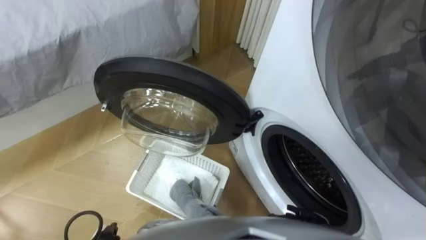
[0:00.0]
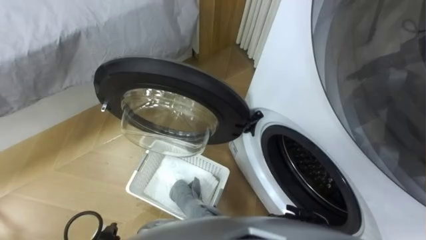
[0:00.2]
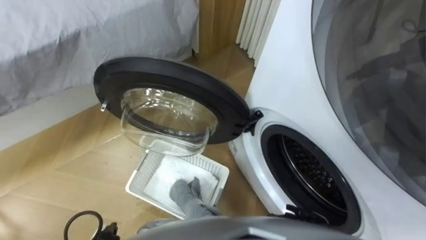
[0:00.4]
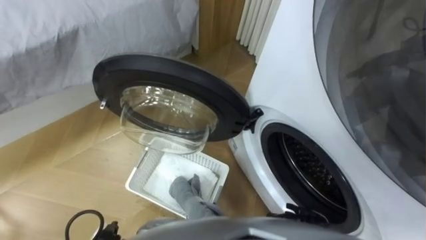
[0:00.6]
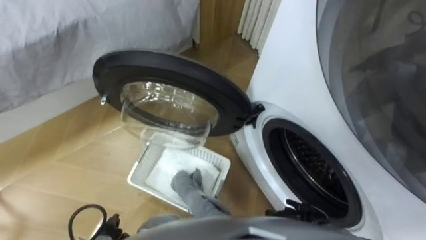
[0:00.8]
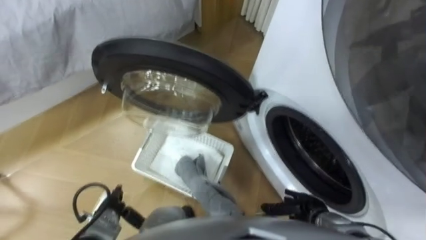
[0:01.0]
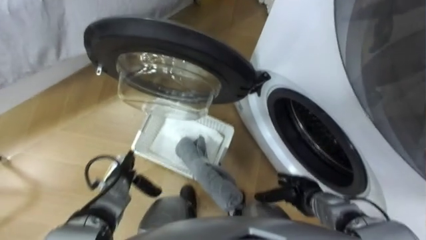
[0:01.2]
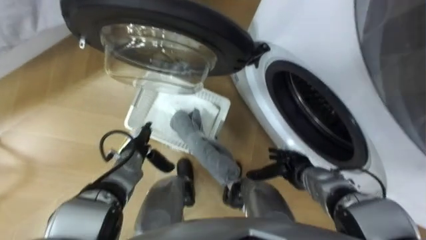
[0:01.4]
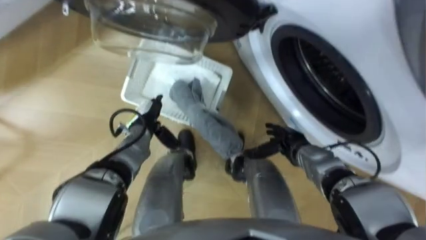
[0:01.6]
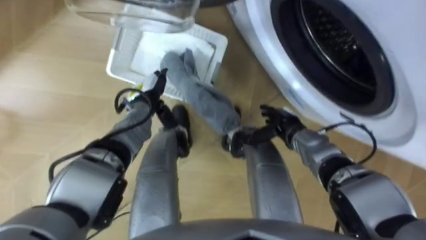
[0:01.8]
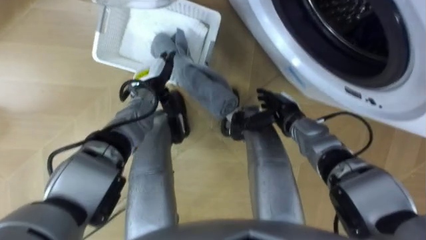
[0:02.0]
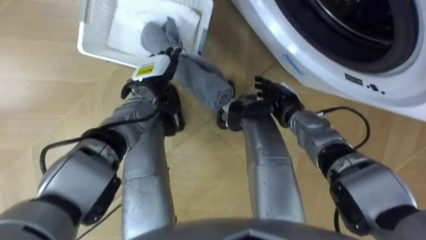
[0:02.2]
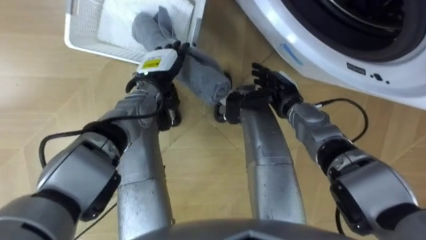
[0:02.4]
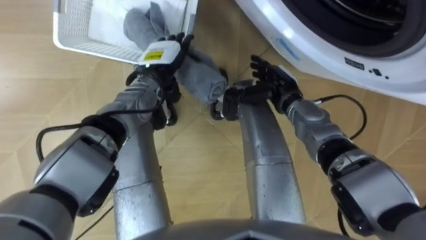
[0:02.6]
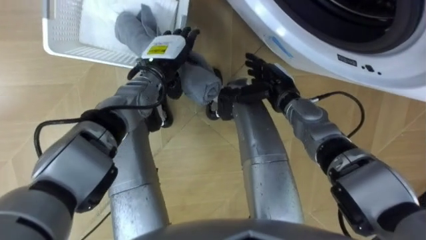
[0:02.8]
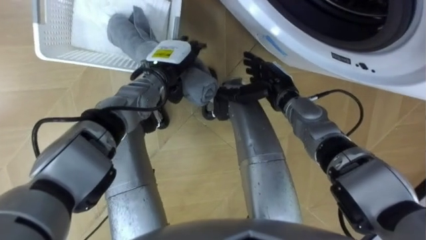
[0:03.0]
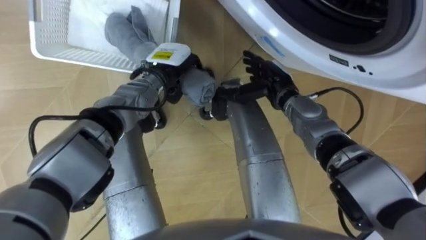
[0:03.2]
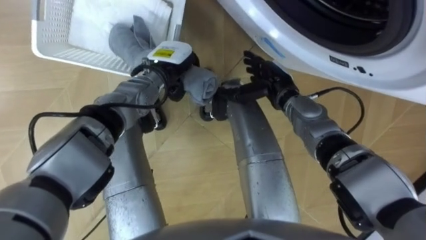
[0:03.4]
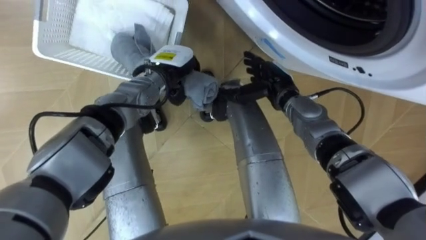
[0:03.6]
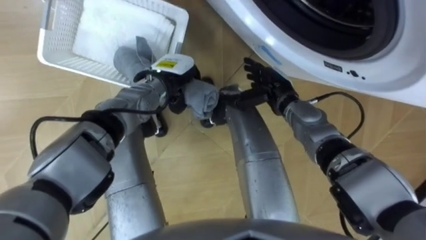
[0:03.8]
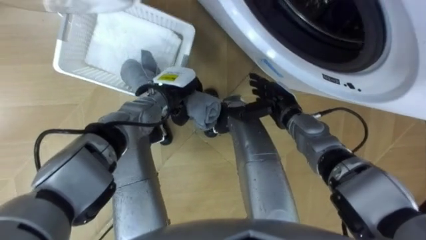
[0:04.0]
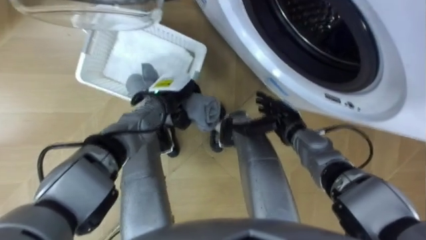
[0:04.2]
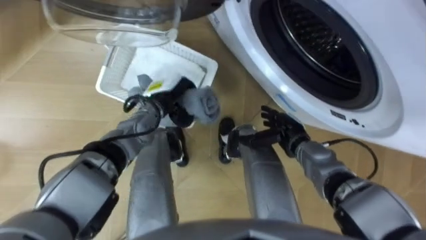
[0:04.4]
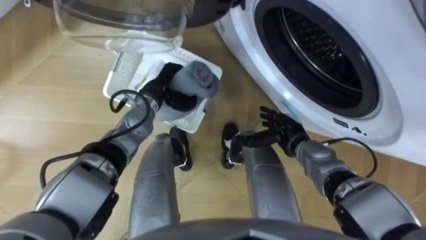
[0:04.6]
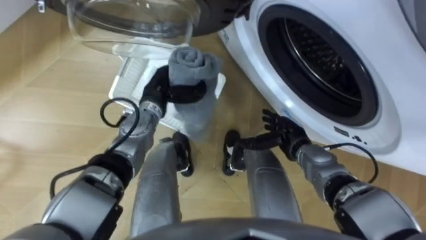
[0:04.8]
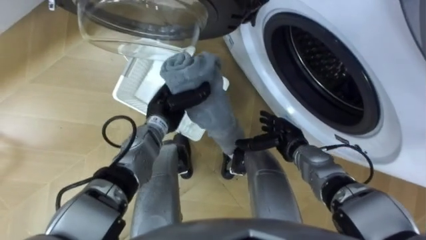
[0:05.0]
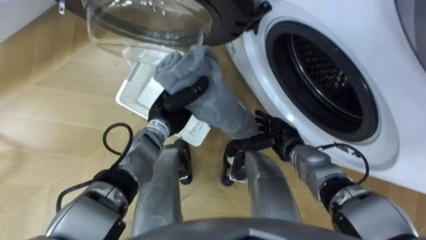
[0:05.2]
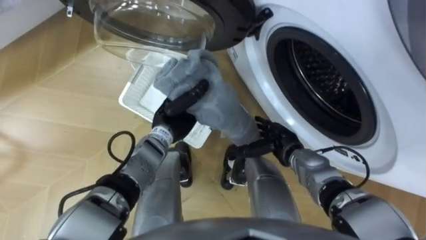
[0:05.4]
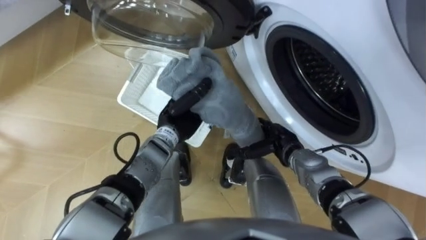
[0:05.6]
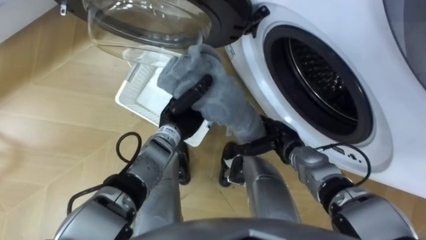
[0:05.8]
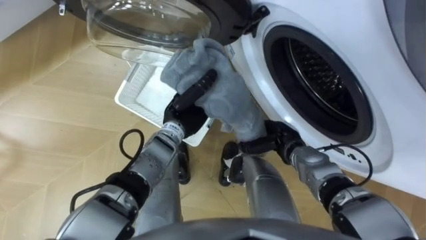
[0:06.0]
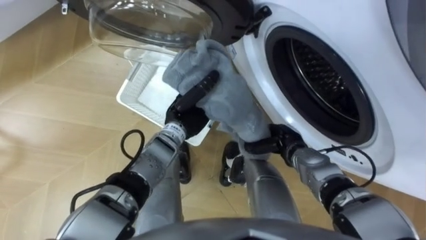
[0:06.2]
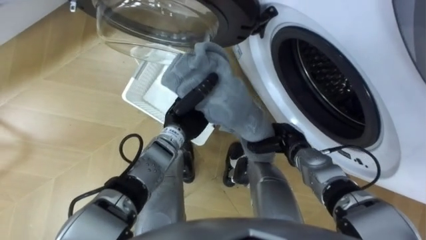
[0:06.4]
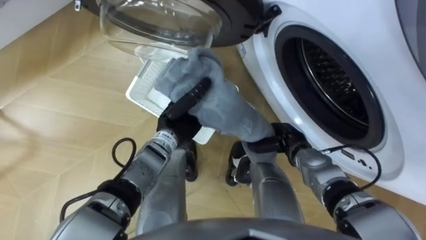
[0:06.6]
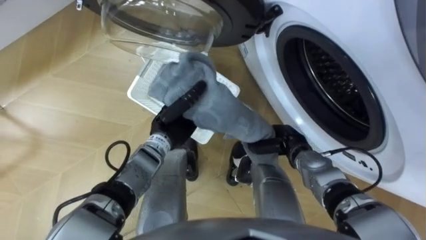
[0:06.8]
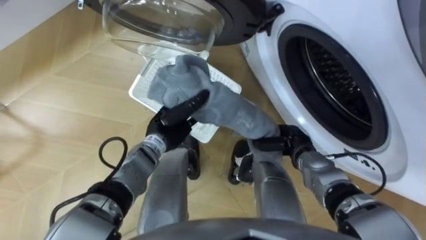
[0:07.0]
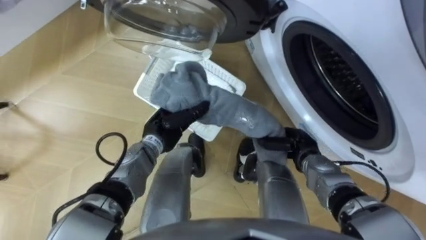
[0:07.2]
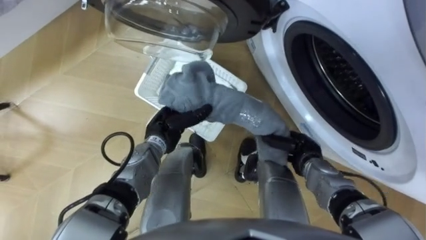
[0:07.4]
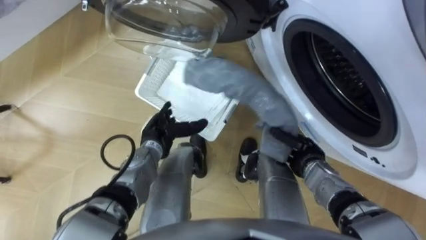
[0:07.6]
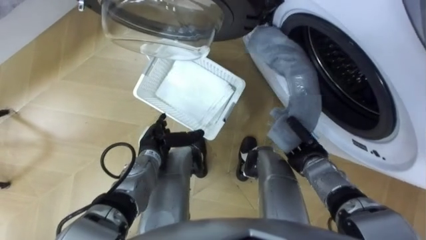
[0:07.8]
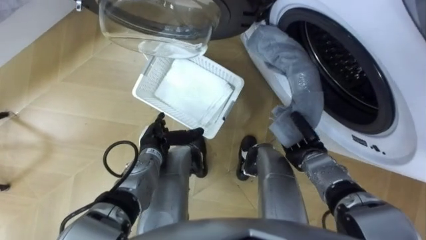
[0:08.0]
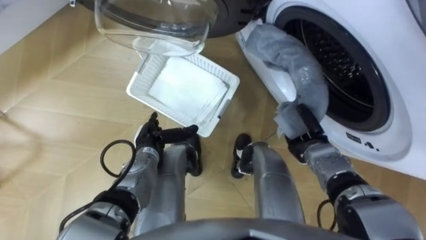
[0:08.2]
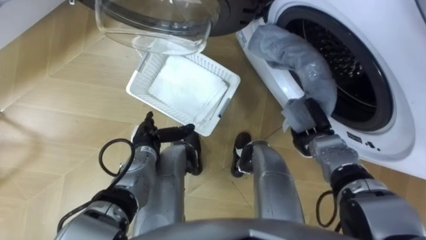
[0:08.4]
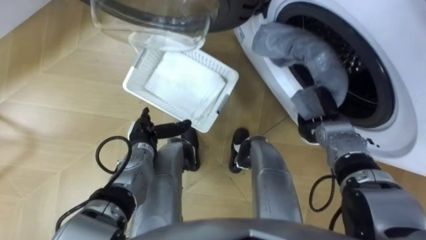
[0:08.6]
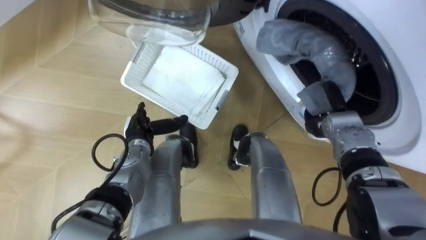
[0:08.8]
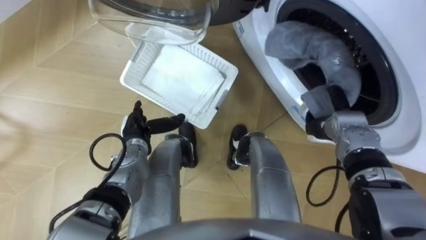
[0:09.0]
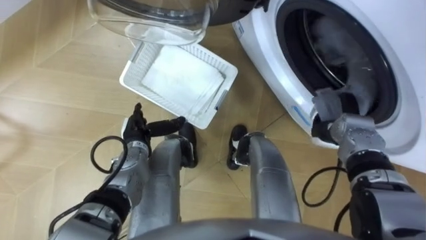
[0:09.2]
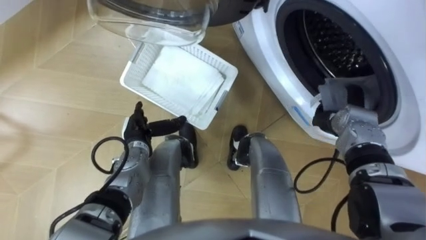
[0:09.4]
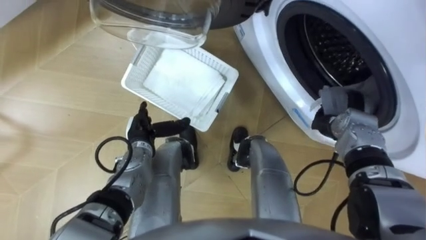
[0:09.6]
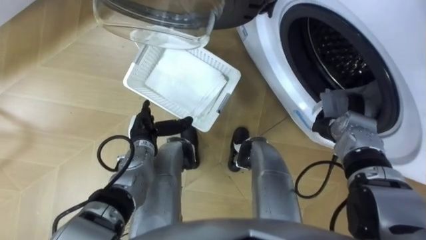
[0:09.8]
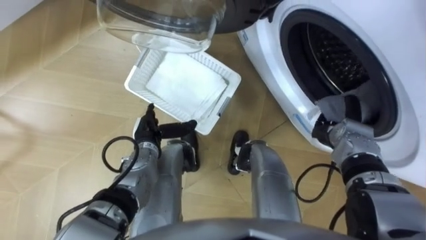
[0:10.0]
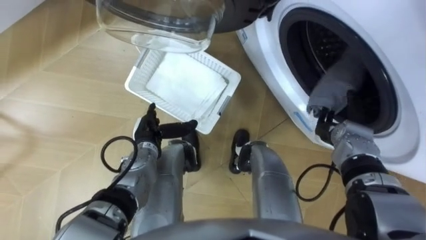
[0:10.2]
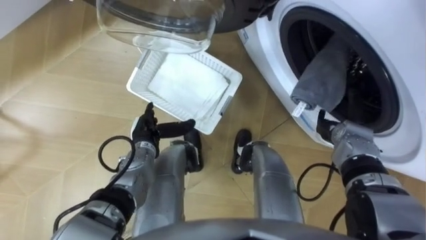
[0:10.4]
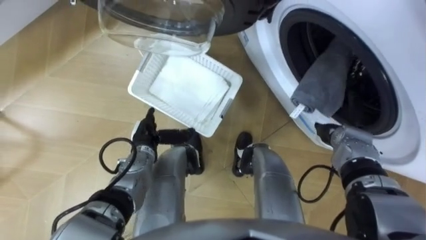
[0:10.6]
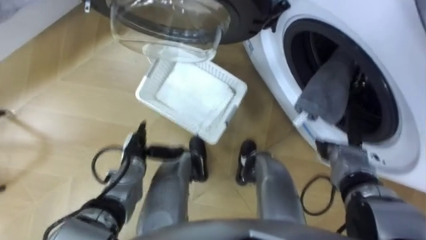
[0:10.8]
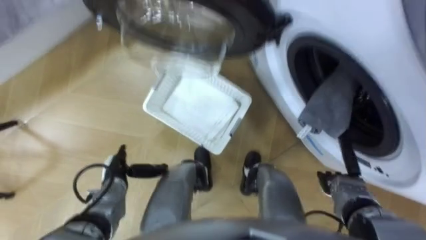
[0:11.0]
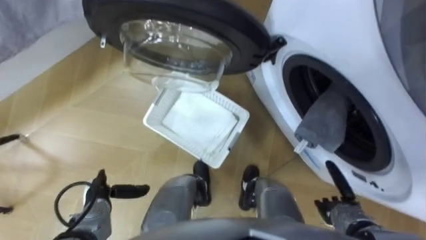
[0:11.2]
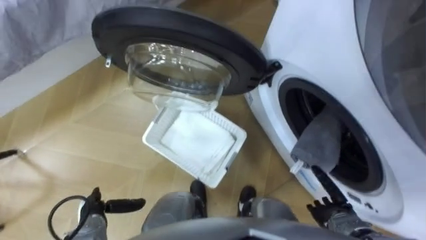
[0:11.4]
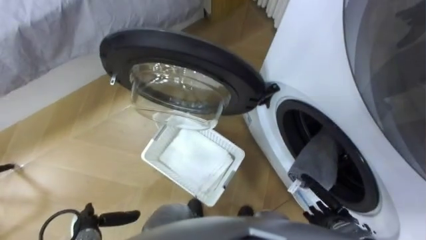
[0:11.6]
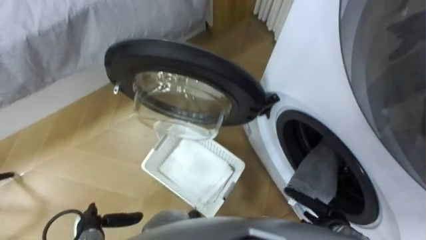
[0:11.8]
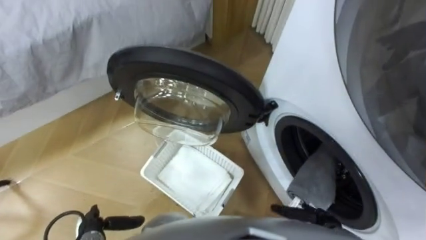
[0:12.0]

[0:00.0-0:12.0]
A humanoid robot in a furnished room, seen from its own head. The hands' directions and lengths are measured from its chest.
Task of the whole recording: Take the towel from the basket and put it into the washing machine.
0:01.6 to 0:03.0: The right hand goes about 15 cm forward and upward; the left hand is displaced upward, forward and to the right by roughly 15 cm.
0:03.0 to 0:04.4: The right hand travels backward and downward by about 10 cm; the left hand goes about 5 cm downward, and closes.
0:04.4 to 0:06.0: The left hand heads to the right, covering some 5 cm.
0:06.0 to 0:07.6: The right hand moves to the right, approximately 5 cm, and closes up. Meanwhile the left hand is displaced to the left and downward by about 10 cm, and opens.
0:07.6 to 0:09.0: The right hand shifts roughly 10 cm forward and upward.
0:09.0 to 0:10.4: The right hand opens.
0:10.4 to 0:12.0: The right hand is displaced backward and downward by about 25 cm; the left hand shifts about 25 cm backward and to the left.

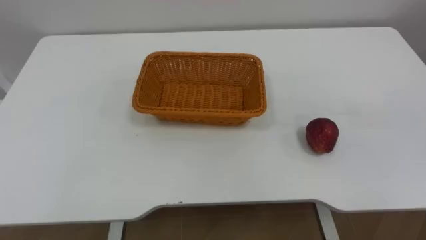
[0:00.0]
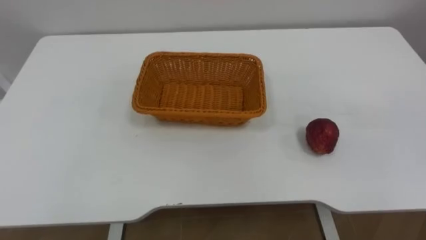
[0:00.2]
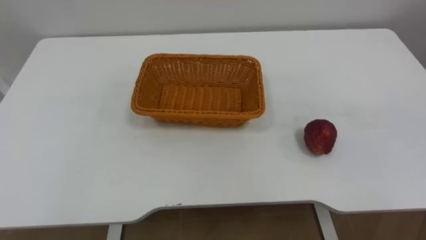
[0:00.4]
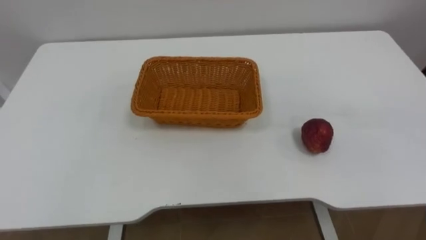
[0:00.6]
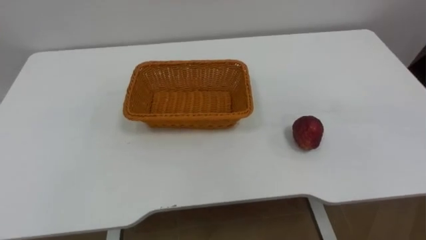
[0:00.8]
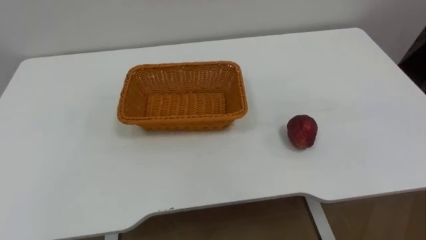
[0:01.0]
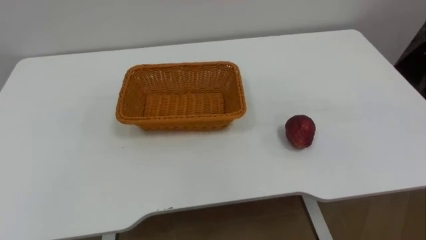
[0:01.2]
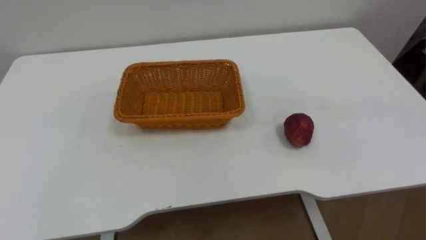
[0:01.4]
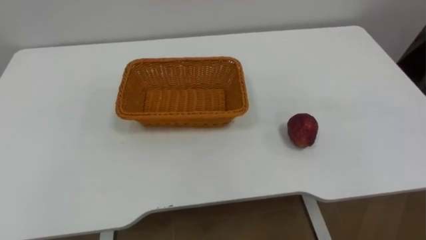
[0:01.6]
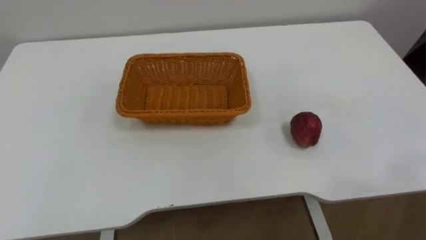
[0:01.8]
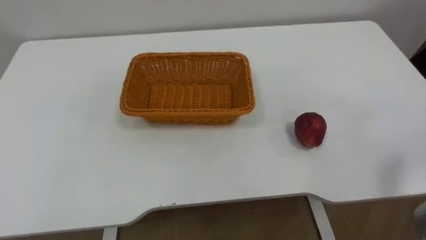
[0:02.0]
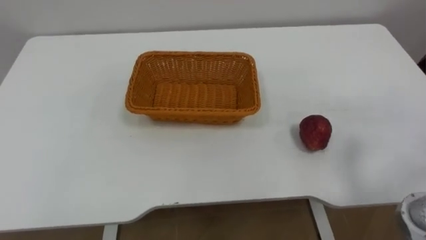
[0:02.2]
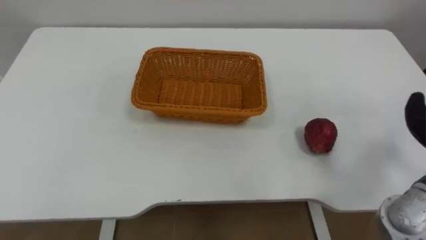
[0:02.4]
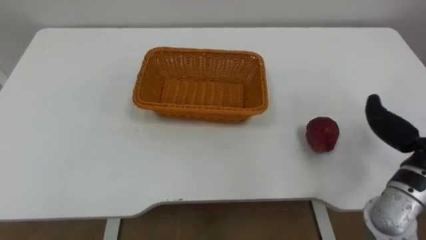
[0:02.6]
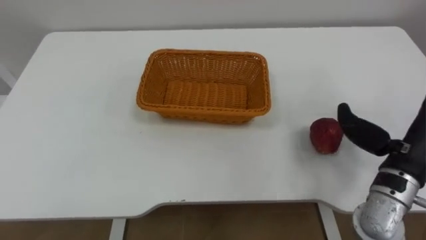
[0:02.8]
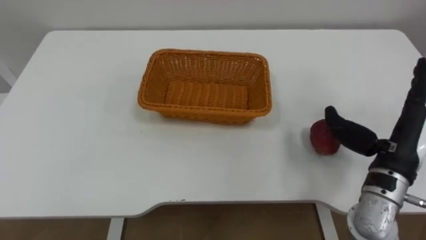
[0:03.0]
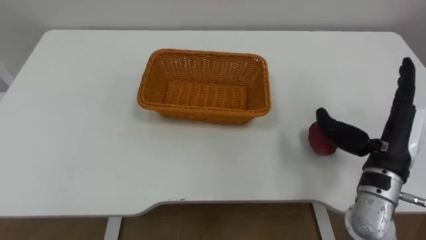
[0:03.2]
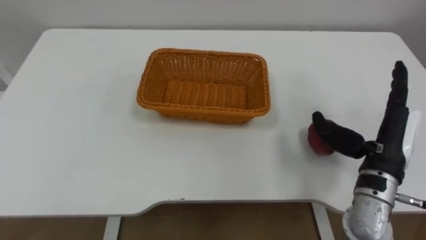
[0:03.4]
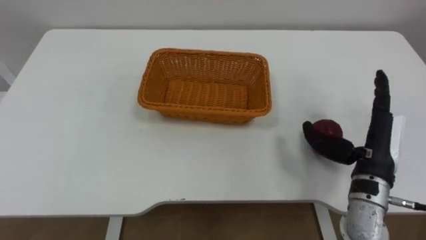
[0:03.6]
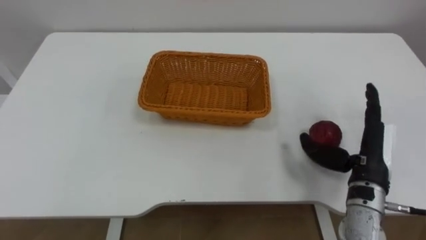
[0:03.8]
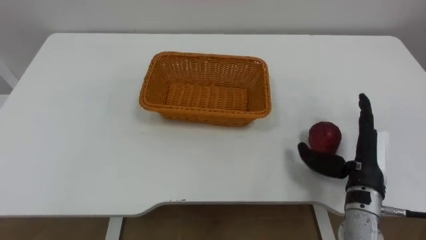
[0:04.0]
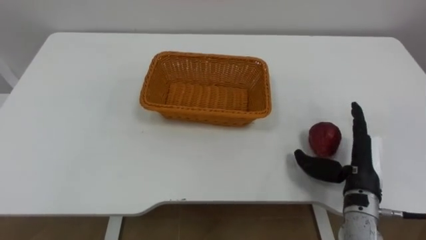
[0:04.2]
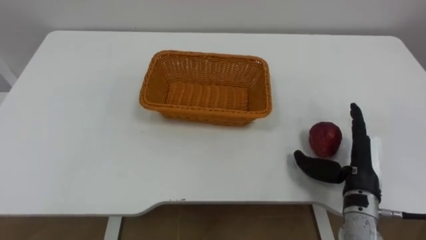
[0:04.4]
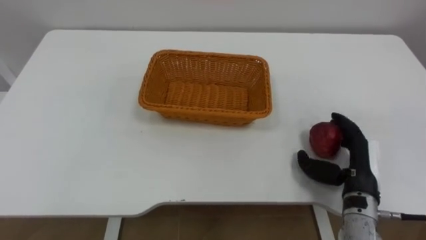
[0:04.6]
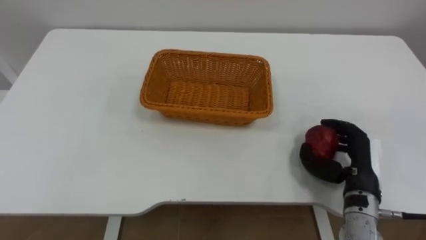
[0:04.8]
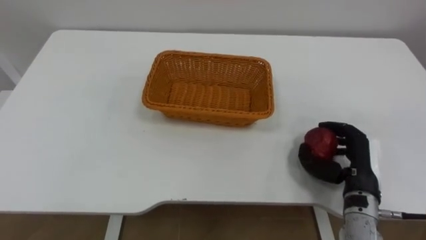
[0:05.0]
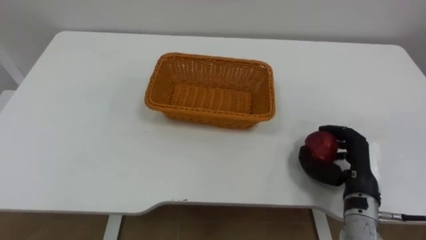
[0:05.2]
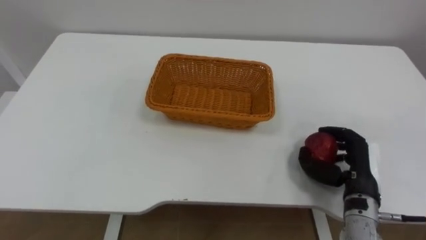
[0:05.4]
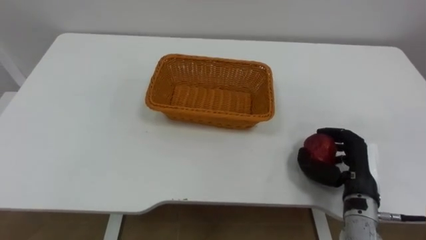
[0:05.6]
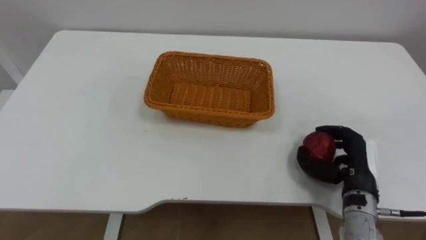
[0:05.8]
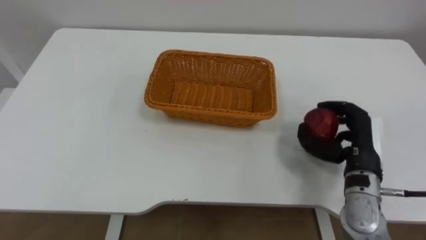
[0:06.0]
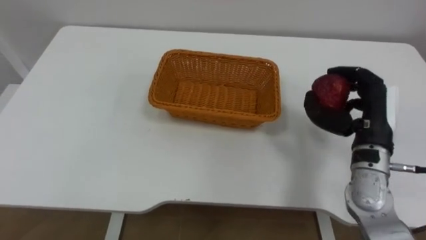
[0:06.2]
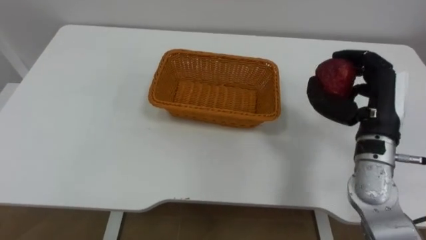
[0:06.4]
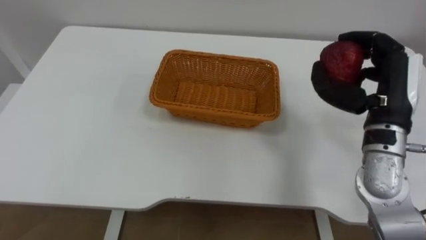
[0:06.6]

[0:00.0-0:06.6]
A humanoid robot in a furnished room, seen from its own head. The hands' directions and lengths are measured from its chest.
Task of the whole recording: Pick the apple and place it in the box.
0:03.2 to 0:05.0: The right hand heads downward, covering roughly 10 cm, and closes.
0:05.0 to 0:06.6: The right hand goes approximately 15 cm upward.
